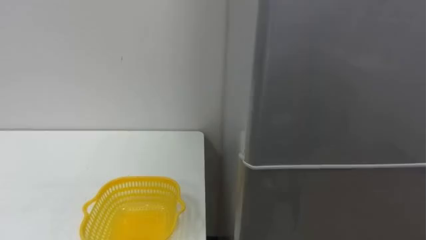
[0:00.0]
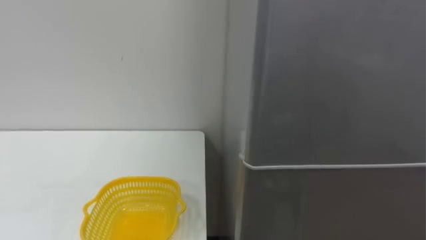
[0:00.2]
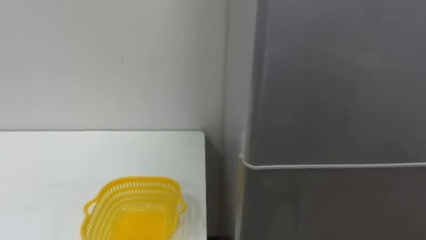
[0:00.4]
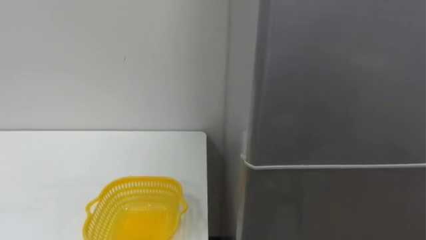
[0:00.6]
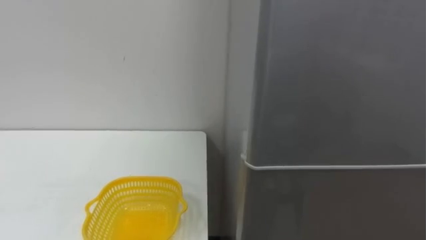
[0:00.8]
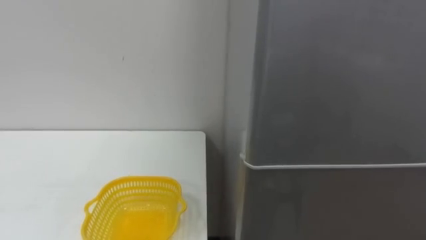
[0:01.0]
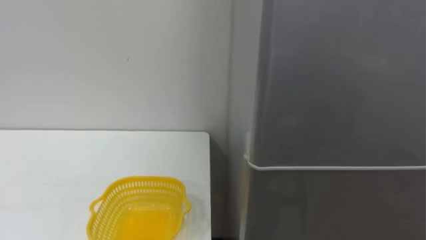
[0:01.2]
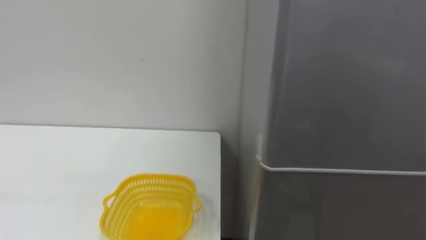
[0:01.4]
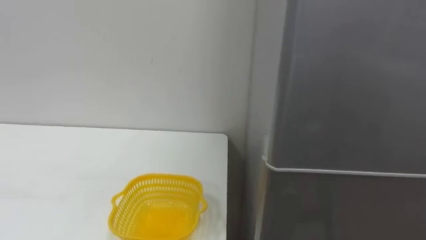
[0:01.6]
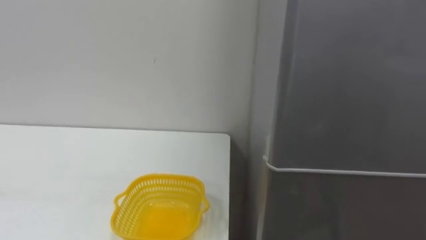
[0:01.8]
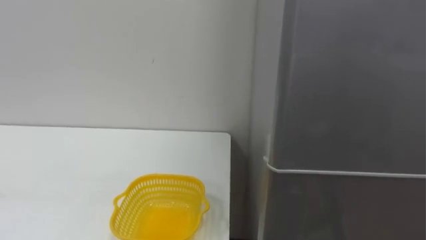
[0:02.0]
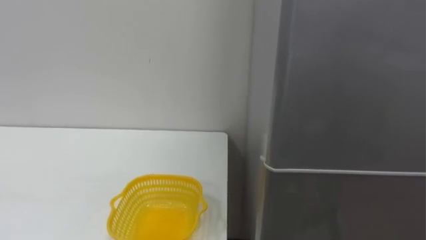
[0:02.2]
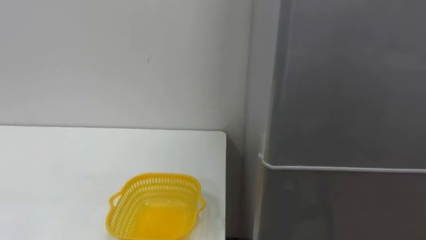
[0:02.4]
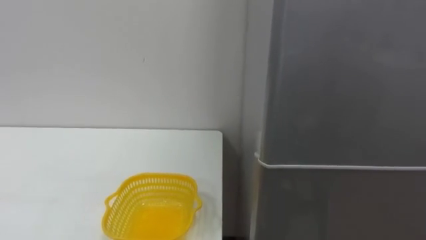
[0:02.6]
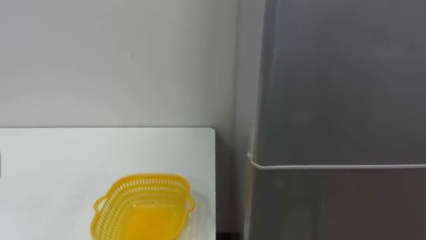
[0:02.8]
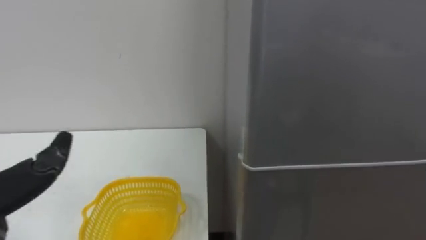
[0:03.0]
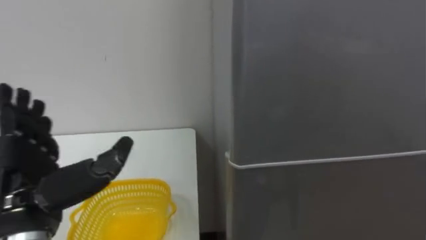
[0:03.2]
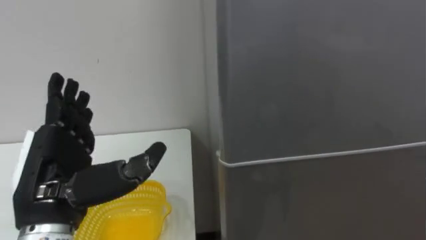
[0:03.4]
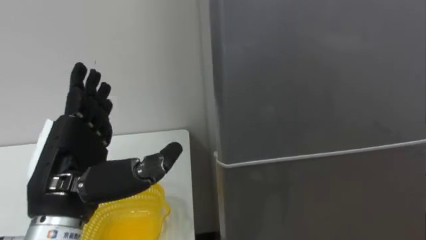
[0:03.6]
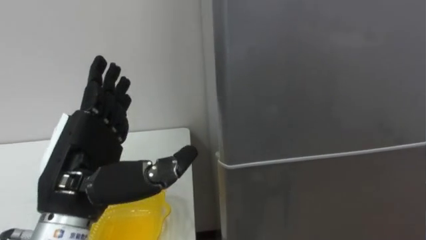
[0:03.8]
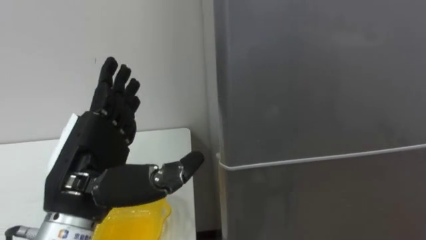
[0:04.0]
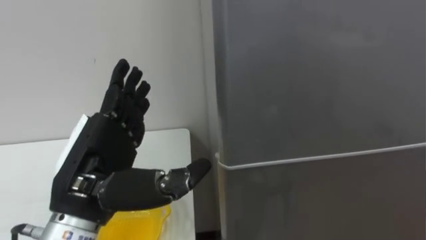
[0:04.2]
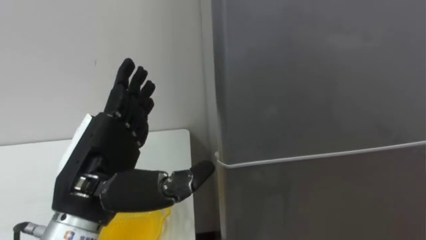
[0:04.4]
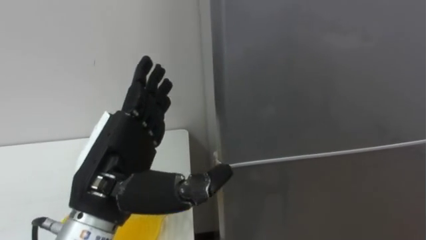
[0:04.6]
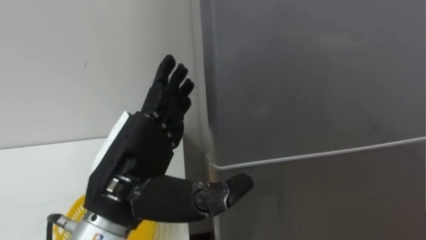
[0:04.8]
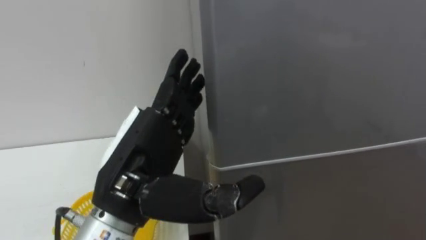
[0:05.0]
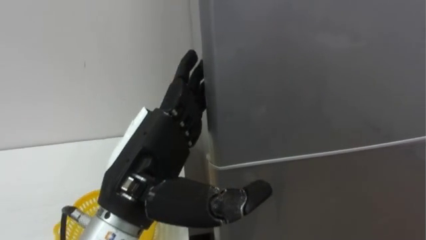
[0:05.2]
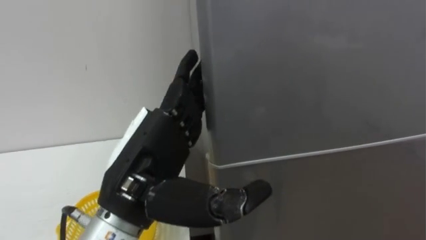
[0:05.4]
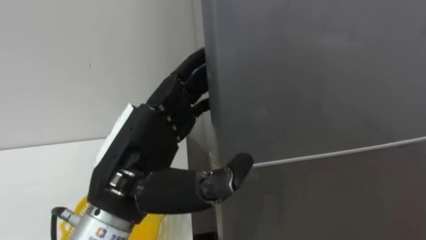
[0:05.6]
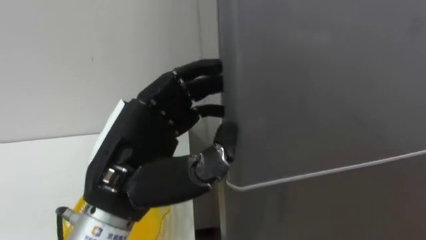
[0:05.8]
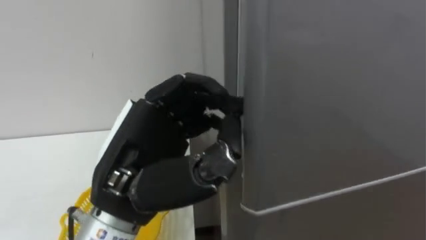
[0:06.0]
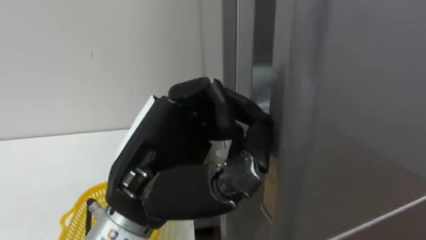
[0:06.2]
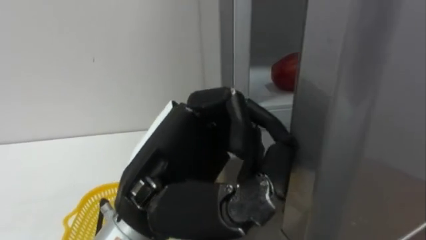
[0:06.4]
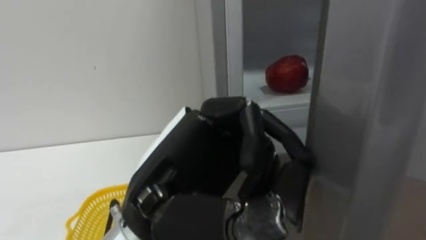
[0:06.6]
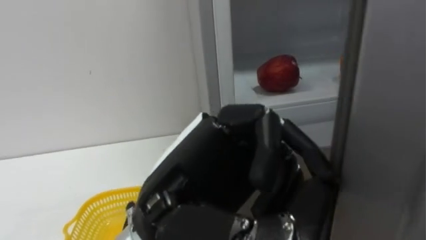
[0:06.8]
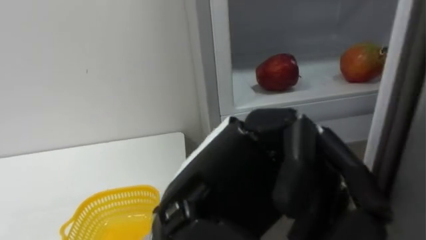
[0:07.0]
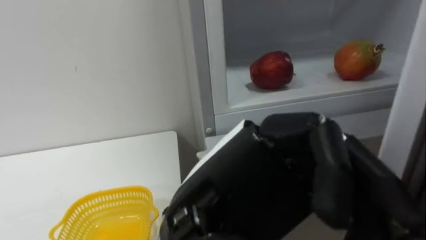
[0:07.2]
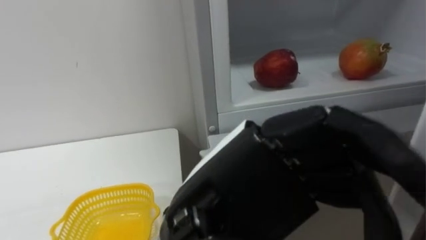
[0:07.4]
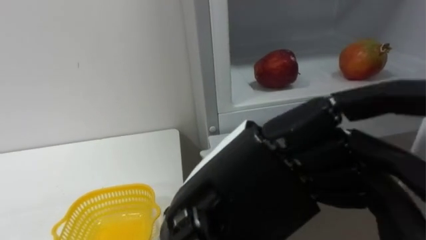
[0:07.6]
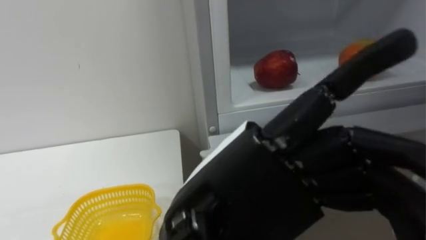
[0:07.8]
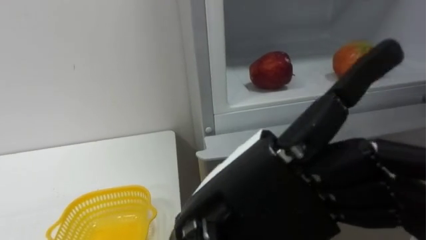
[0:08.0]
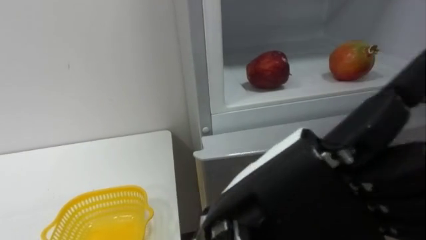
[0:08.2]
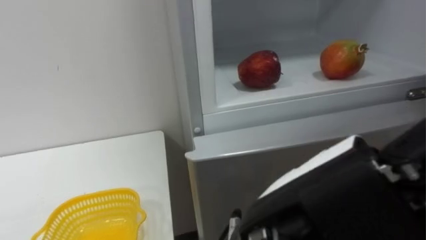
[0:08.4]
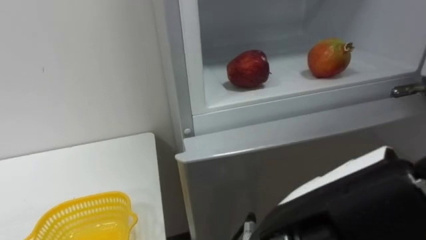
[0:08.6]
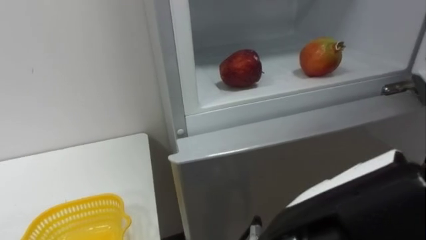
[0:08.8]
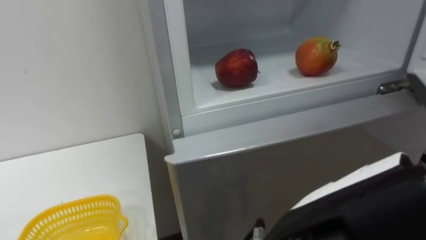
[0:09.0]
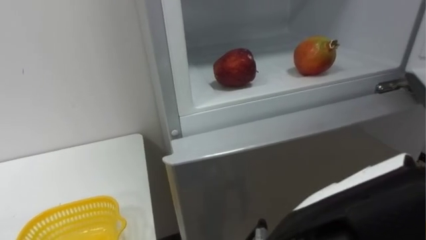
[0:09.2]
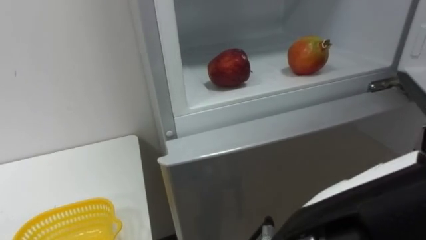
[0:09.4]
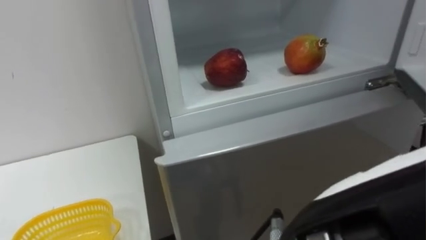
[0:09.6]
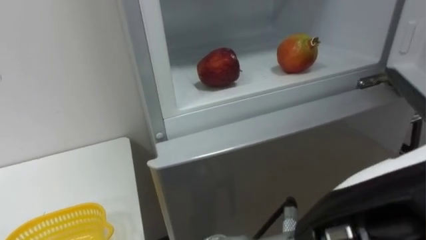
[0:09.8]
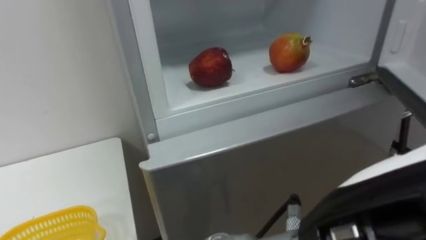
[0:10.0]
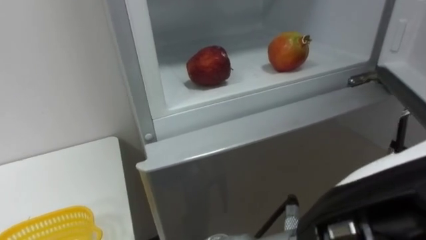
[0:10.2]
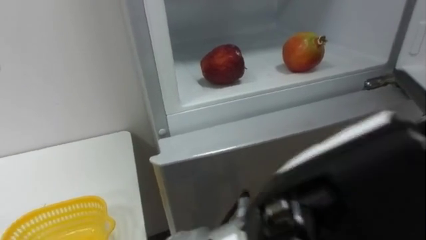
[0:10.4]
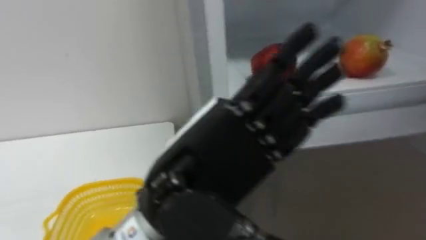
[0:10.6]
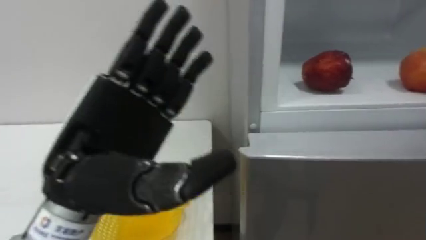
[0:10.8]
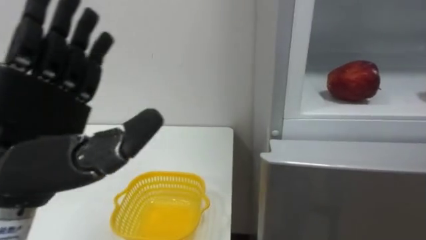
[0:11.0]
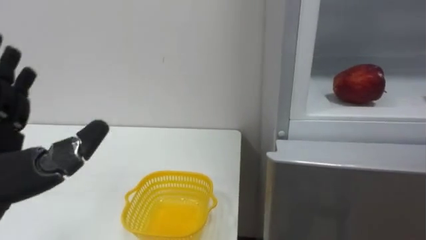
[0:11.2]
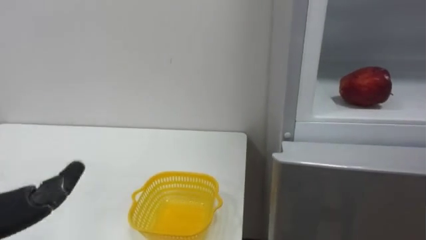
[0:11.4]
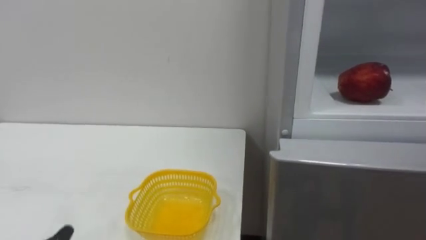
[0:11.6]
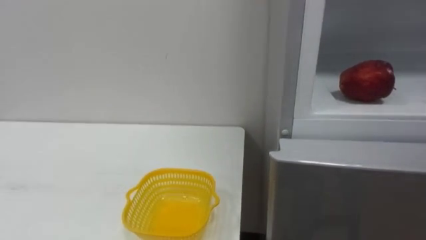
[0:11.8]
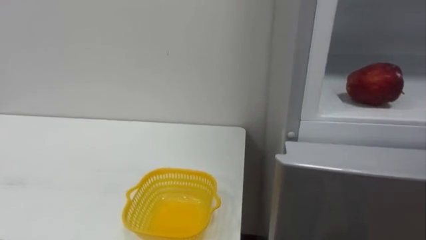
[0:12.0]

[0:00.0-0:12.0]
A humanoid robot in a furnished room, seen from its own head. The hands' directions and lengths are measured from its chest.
Task of the whole recording: Open the refrigerator door, take out the apple and the pomegranate, place them in the fruit basket on the left, and close the refrigerator door.
0:04.4 to 0:06.0: The left hand moves to the right, roughly 5 cm, and closes.
0:06.0 to 0:07.6: The left hand heads to the right and backward, covering some 10 cm.
0:07.6 to 0:09.0: The left hand moves to the right, some 5 cm.

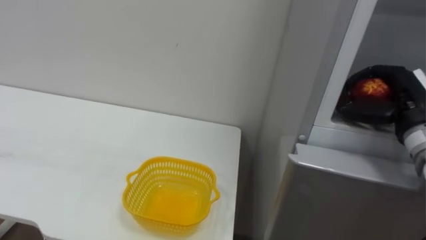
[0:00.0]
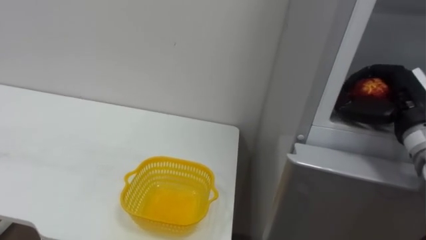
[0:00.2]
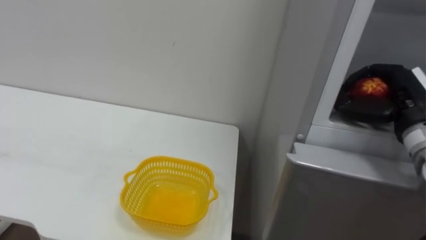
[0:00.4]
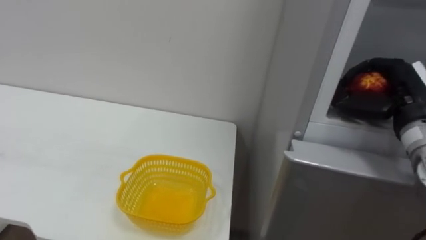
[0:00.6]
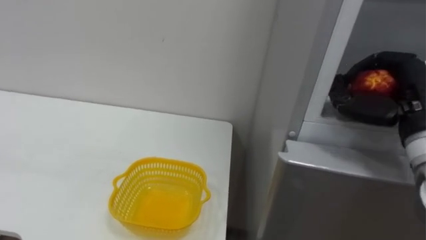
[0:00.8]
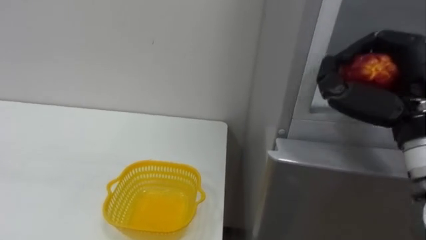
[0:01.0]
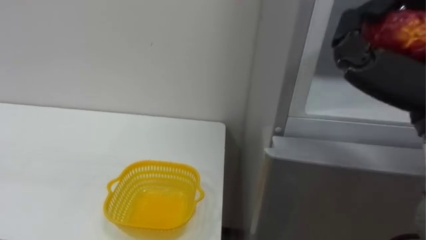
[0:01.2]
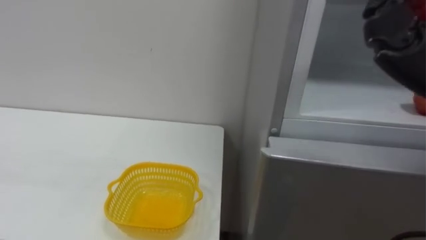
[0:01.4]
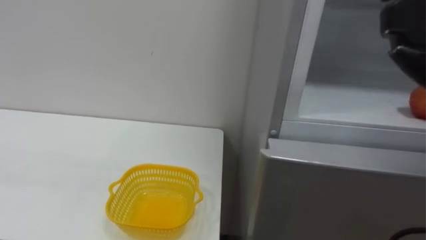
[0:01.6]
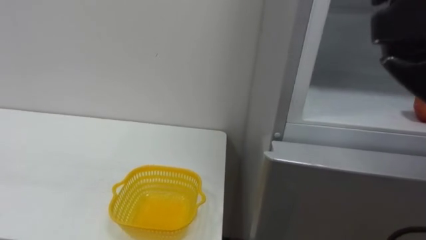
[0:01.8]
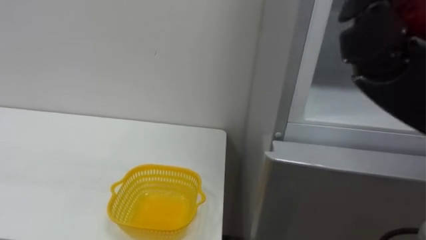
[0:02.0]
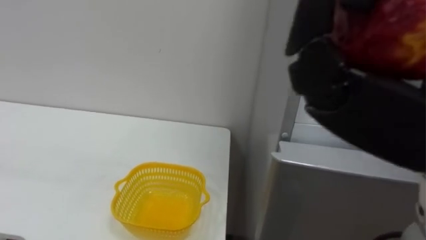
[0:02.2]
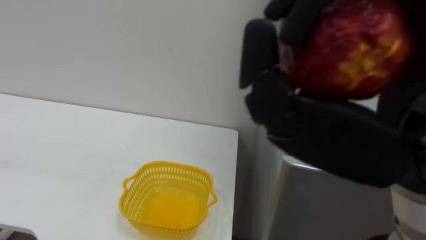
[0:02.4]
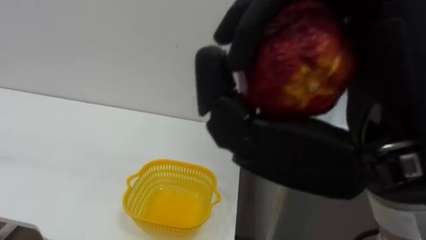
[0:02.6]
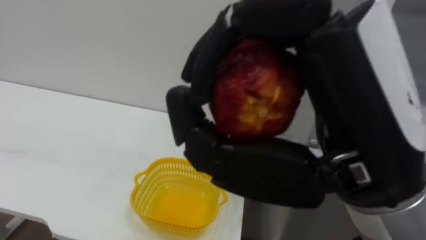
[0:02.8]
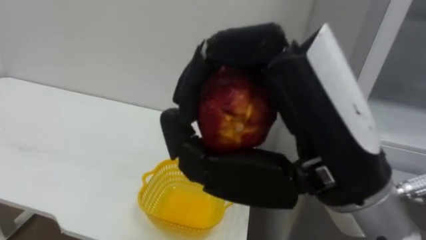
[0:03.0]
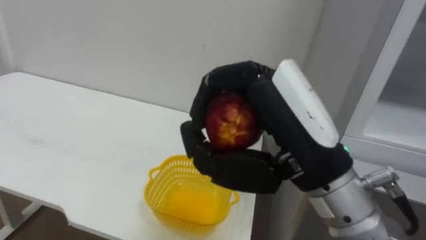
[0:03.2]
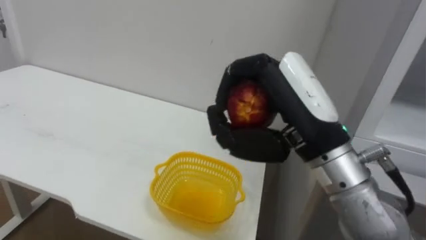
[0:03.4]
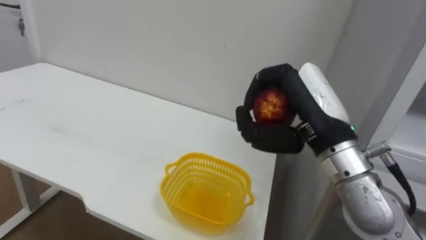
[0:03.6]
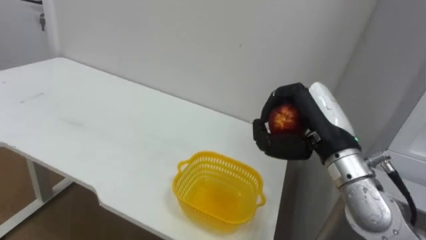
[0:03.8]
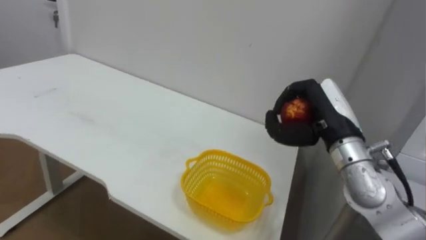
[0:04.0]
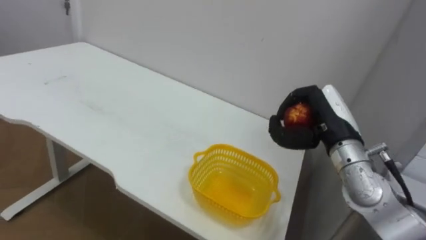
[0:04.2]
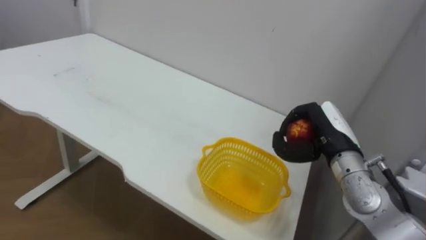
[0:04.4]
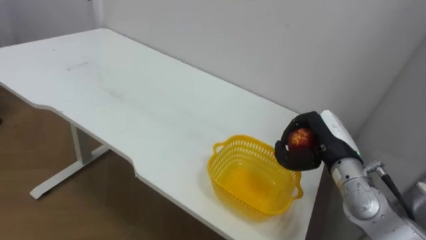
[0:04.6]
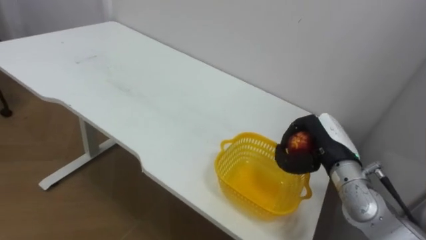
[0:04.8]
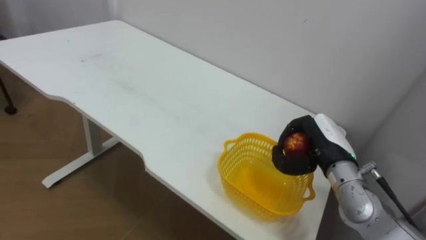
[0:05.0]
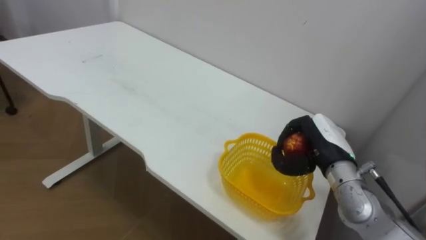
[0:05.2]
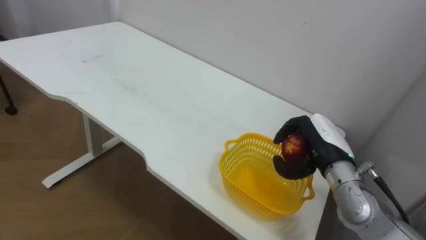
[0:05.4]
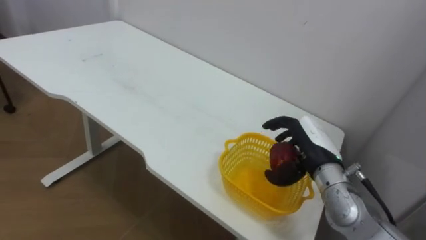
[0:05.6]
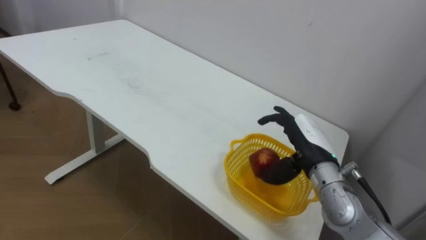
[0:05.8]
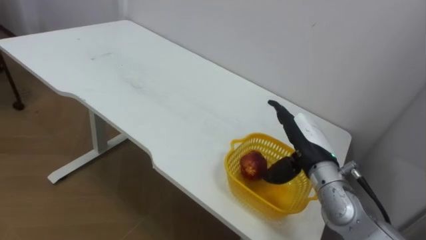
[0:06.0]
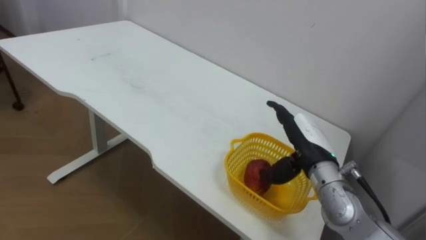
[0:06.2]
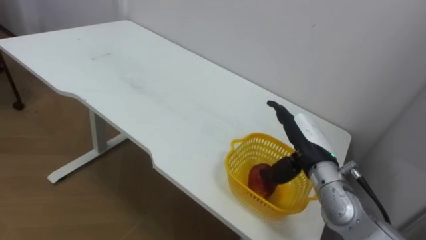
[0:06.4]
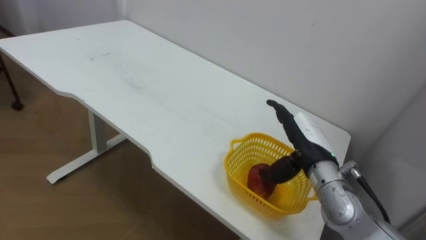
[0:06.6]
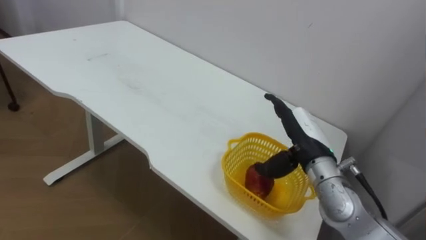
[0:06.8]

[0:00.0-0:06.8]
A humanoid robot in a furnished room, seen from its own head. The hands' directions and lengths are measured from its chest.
Task of the whole recording: Open the refrigerator door, take out the apple and the pomegranate, place them in the fruit basket on the left, and close the refrigerator door.
0:02.8 to 0:04.0: The right hand is displaced forward, downward and to the right by some 25 cm.
0:04.0 to 0:05.4: The right hand heads downward, covering some 5 cm.
0:05.4 to 0:06.8: The right hand opens up.
